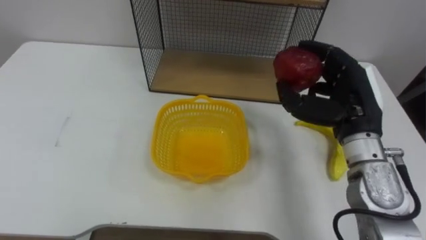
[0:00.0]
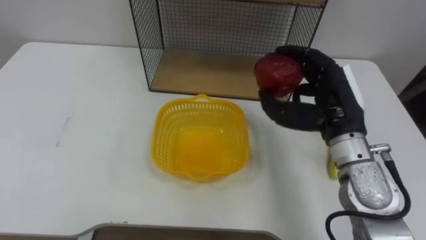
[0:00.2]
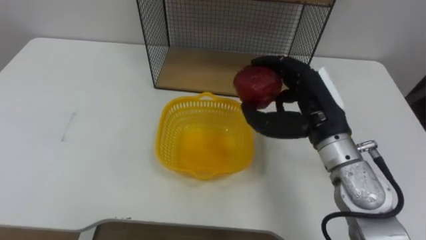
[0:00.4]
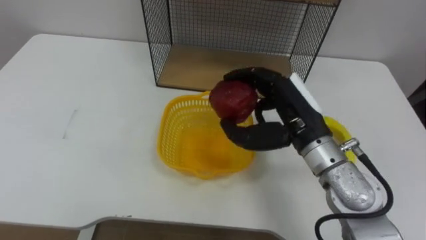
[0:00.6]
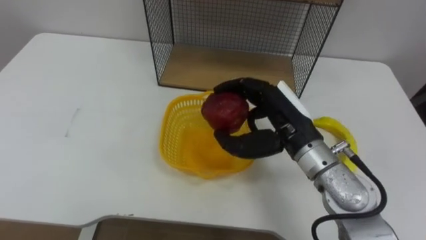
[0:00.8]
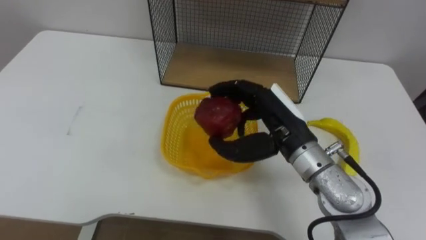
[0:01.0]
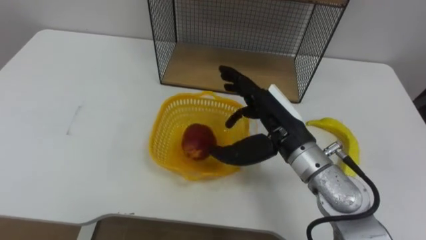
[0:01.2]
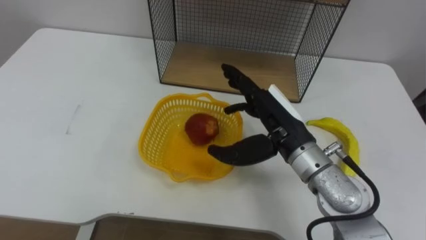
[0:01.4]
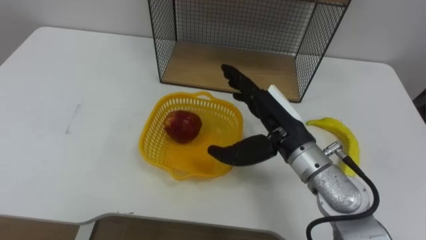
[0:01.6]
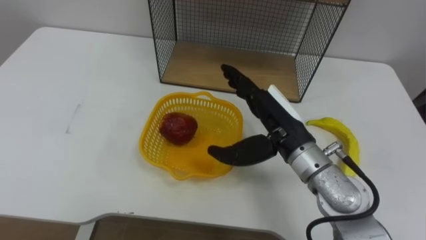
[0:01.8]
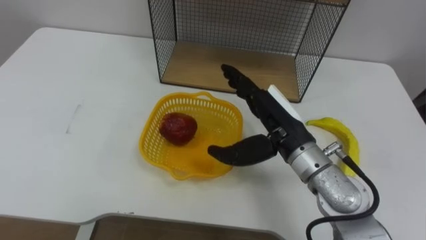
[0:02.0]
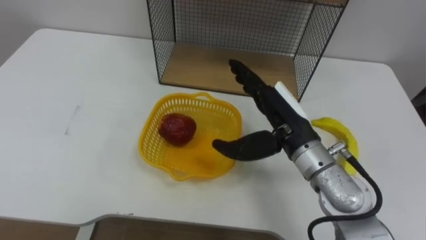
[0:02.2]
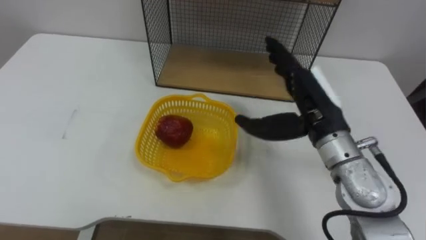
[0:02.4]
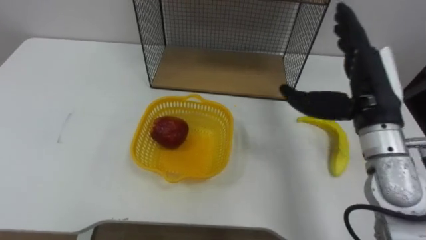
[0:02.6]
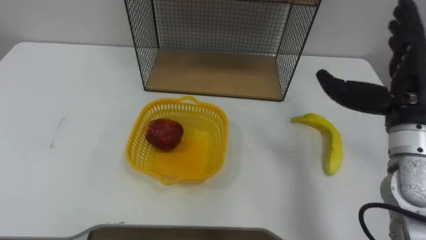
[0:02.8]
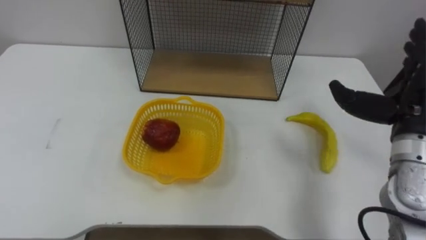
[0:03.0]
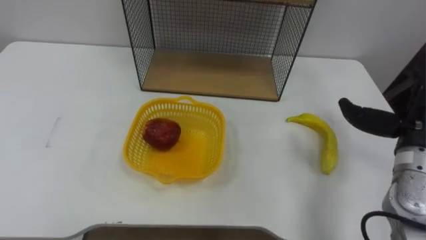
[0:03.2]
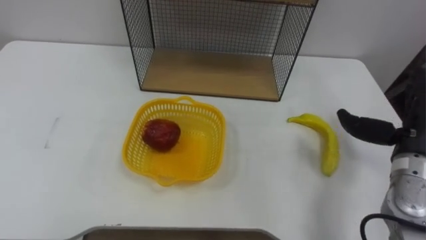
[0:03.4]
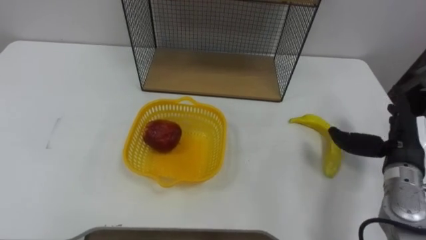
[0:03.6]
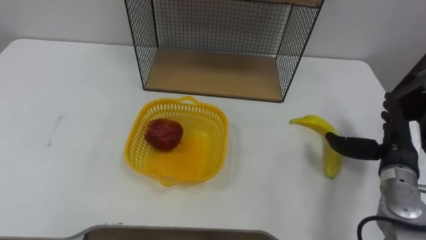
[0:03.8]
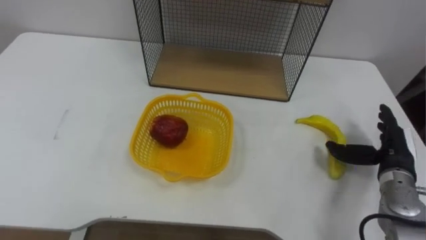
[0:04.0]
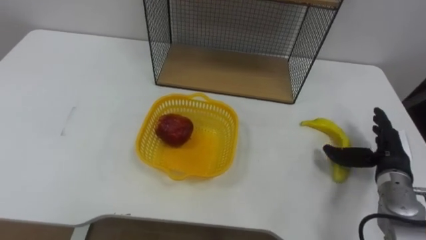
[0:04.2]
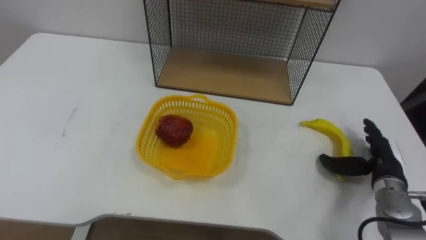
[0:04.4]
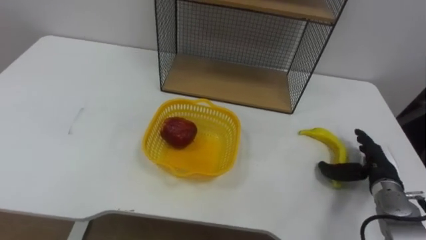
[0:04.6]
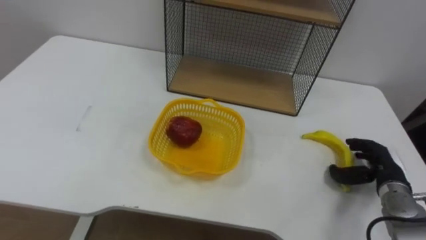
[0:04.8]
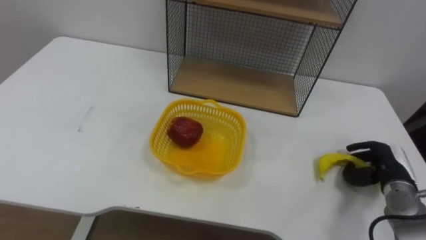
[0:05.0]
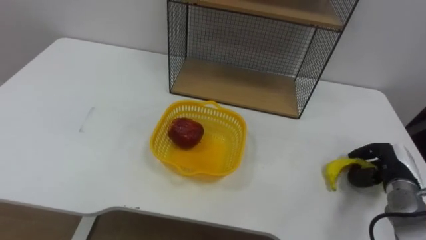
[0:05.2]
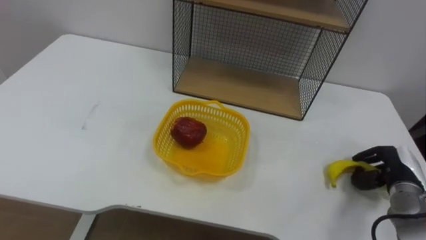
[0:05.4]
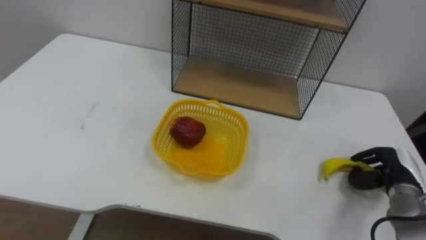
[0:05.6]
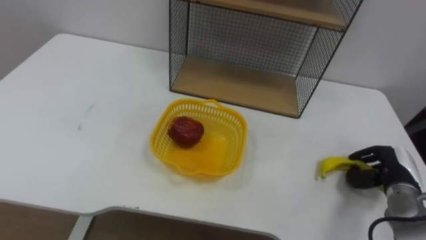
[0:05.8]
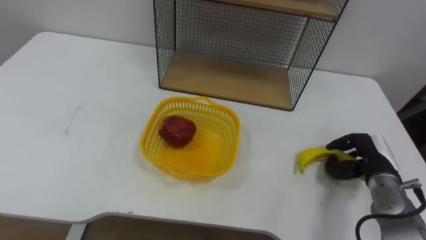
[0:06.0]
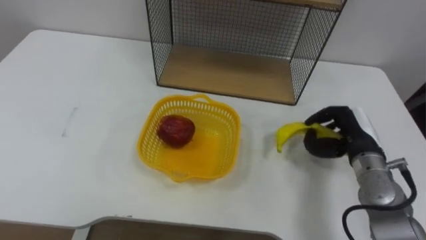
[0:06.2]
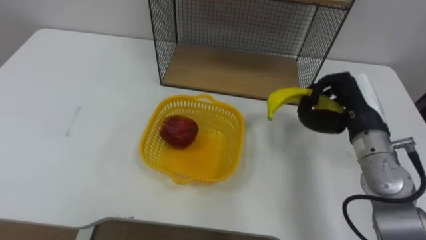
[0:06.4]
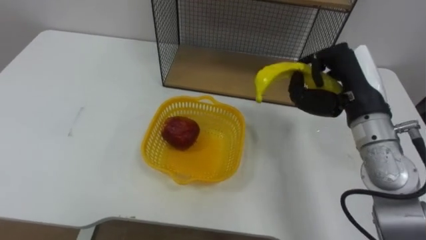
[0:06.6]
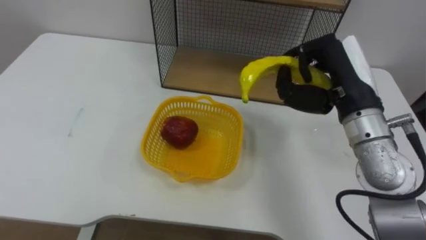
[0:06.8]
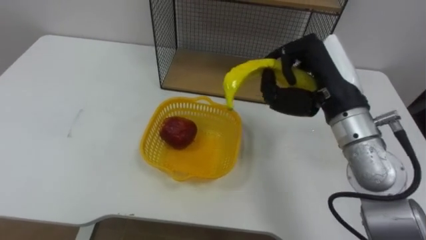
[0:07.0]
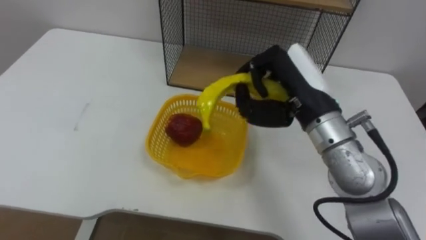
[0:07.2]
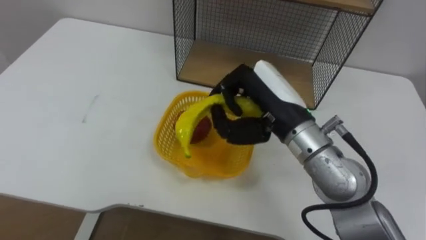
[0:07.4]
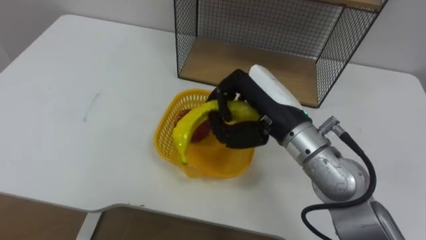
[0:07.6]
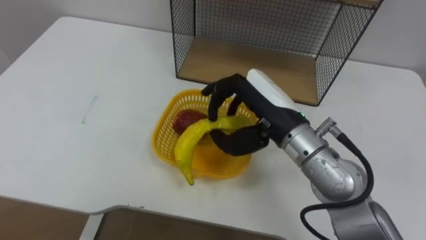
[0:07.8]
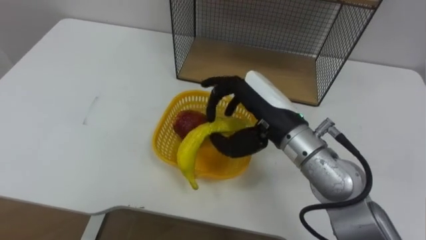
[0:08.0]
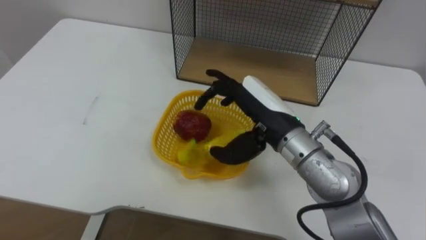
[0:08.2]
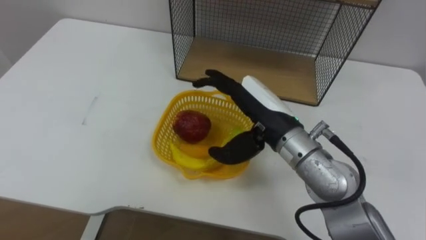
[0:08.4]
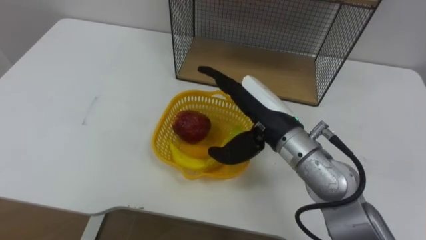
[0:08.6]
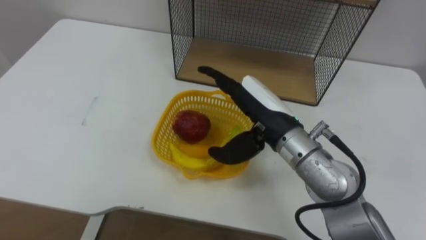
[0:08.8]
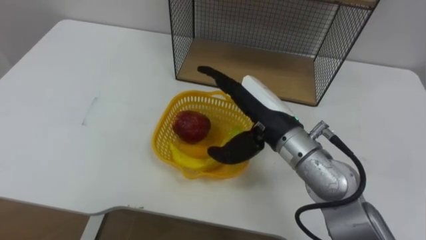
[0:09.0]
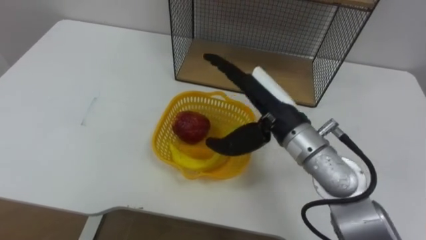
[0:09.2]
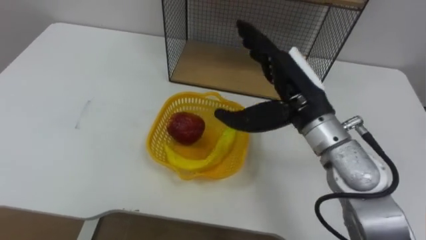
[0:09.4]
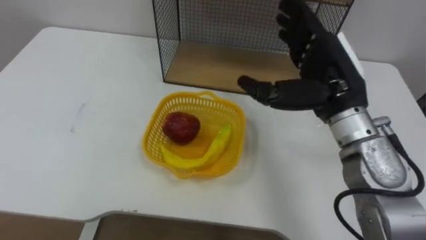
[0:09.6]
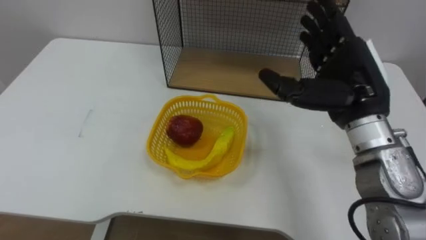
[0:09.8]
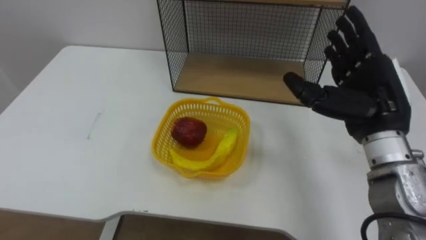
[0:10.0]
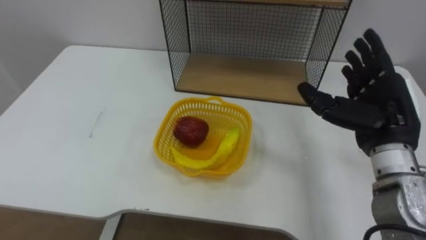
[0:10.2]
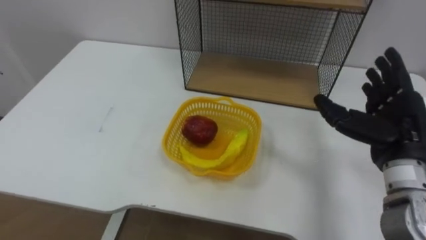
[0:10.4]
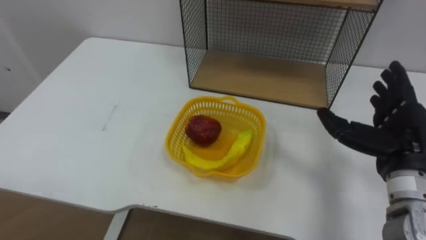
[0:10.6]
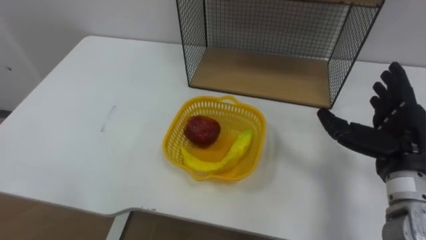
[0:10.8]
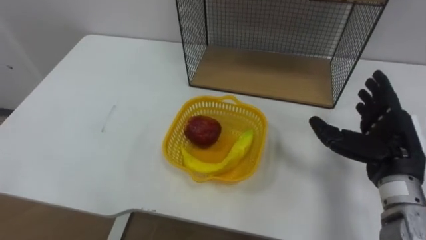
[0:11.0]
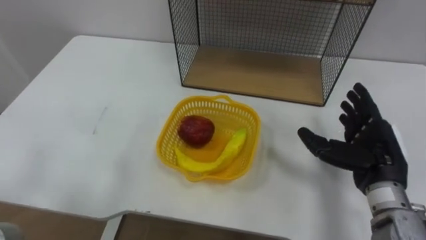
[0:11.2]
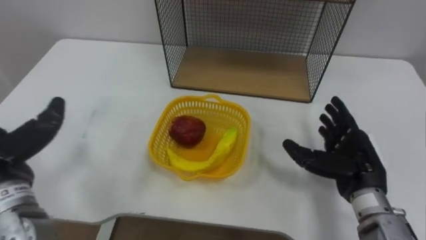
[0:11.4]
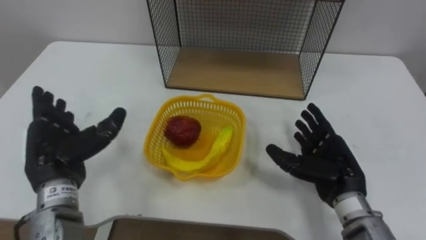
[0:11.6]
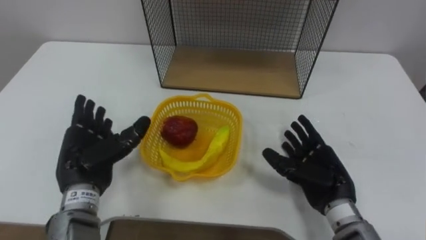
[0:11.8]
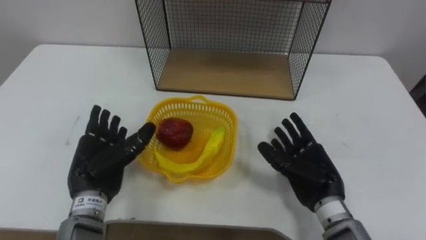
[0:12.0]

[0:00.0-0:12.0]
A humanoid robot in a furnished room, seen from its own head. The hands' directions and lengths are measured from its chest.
Task of the whole recording: Put the fruit on the table into the basket, then place the basket on the shelf.
0:00.0 to 0:01.6: The right hand is displaced to the left by about 10 cm, and opens up.
0:01.6 to 0:03.0: The right hand shifts some 20 cm to the right.
0:03.0 to 0:04.4: The right hand heads downward, covering some 20 cm.
0:04.4 to 0:06.0: The right hand closes up.
0:06.0 to 0:07.6: The right hand goes roughly 30 cm to the left and upward.
0:07.6 to 0:09.0: The right hand opens.
0:09.0 to 0:10.4: The right hand moves to the right, about 20 cm.
0:10.4 to 0:12.0: The right hand is displaced downward and to the left by roughly 15 cm.

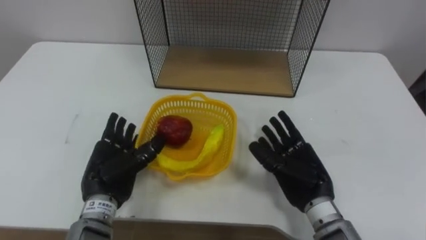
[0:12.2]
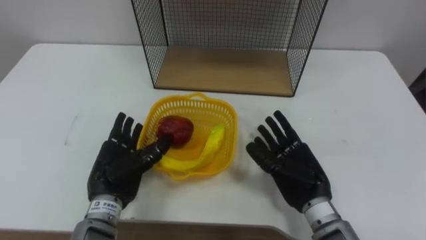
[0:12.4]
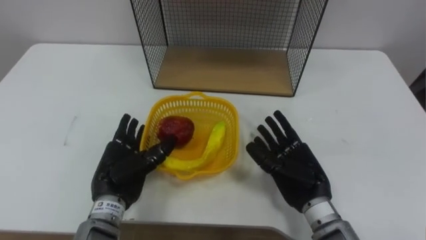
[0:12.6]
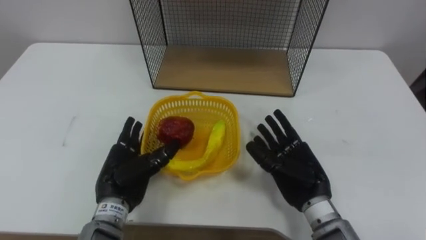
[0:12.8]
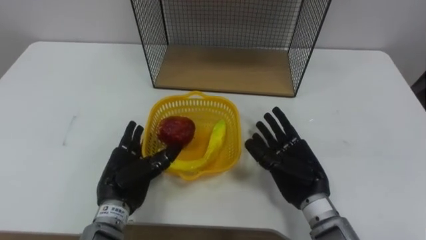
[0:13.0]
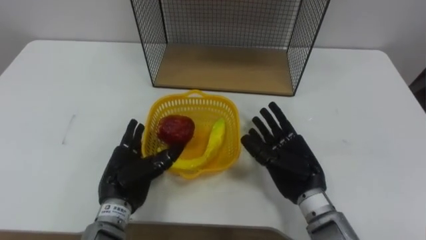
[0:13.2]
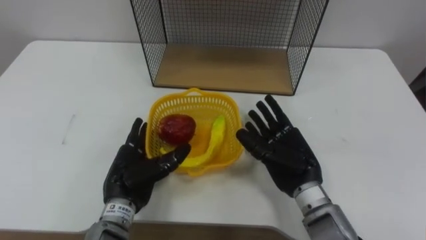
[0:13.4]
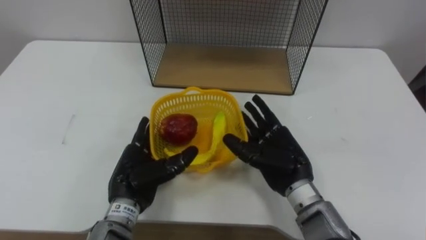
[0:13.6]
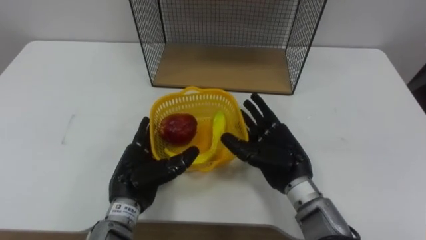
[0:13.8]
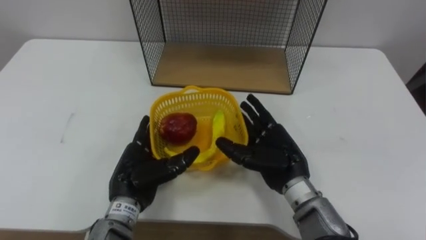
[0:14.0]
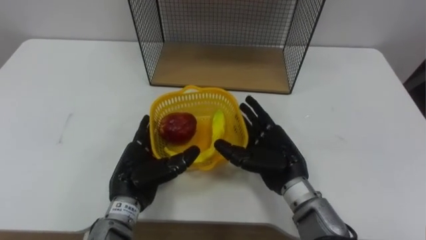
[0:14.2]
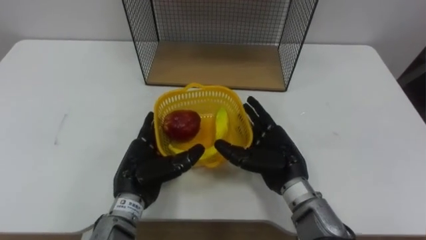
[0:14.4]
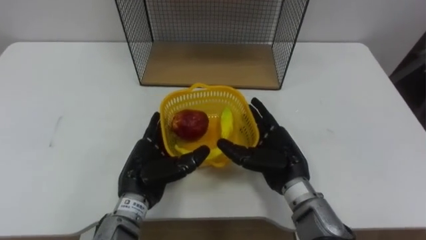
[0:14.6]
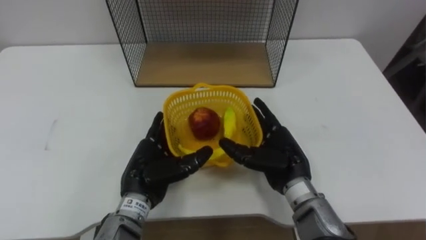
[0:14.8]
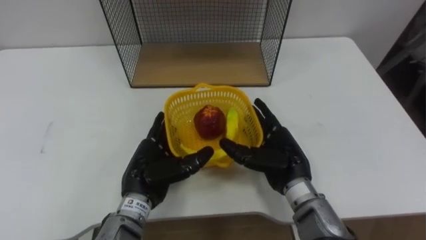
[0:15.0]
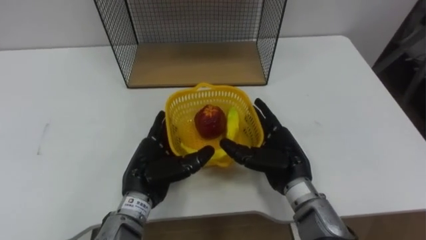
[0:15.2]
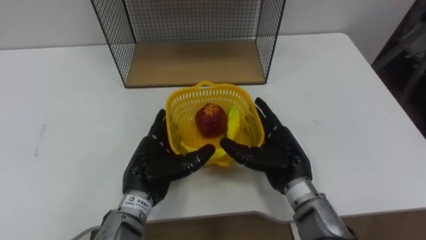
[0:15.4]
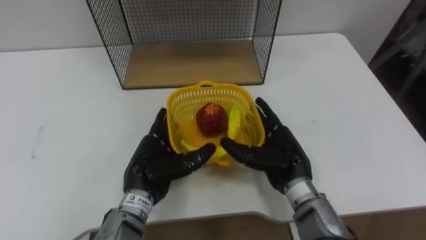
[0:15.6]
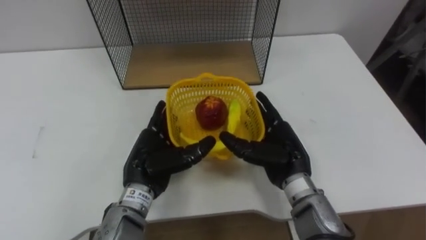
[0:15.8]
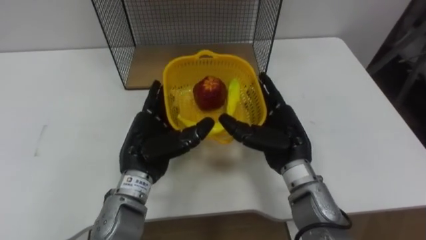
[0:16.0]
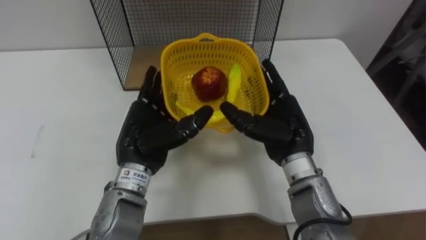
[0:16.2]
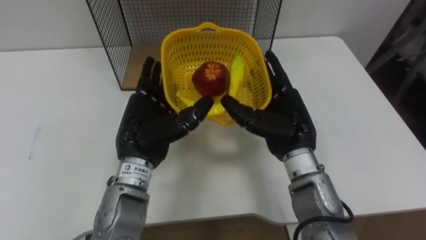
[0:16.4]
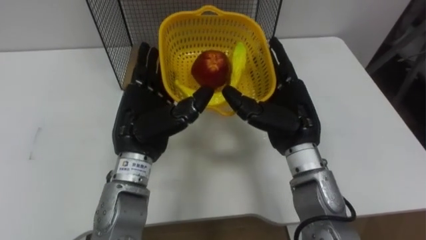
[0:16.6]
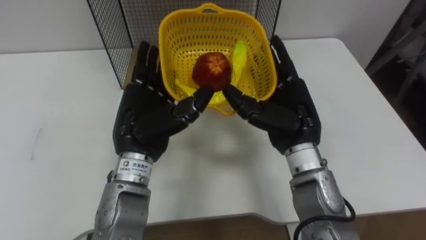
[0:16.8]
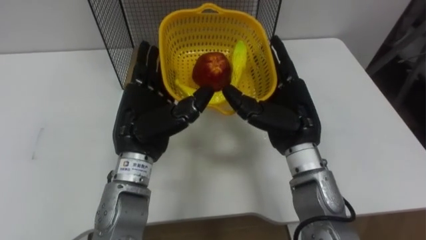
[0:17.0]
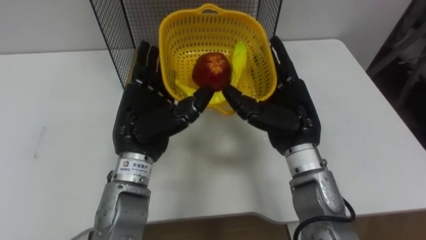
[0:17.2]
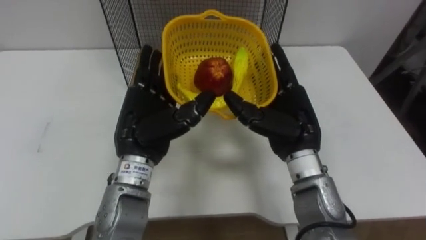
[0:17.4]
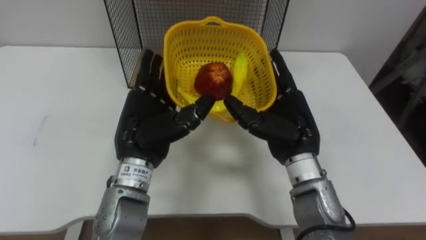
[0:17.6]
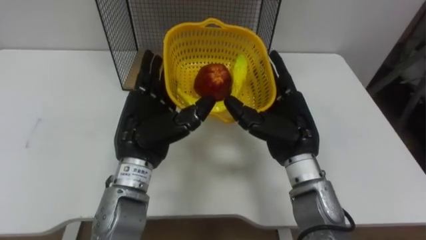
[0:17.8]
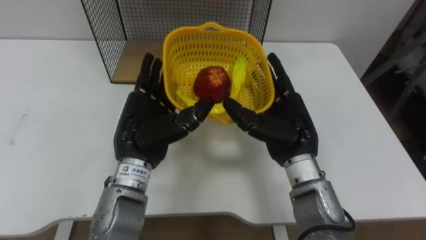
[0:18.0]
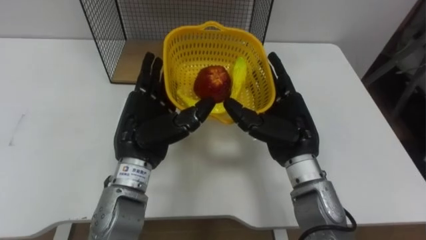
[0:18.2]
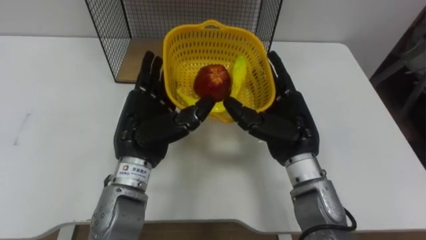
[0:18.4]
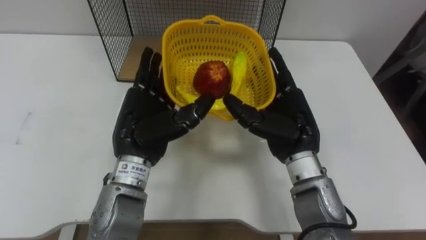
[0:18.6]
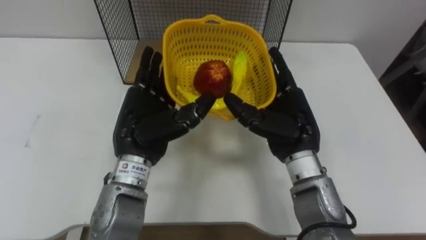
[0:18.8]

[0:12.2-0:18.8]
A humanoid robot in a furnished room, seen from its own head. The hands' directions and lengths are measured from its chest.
Task of the whole recording: Put the fruit on the table into the basket, then place the basket on the shelf.
0:12.2 to 0:13.8: The left hand shifts about 5 cm to the right; the right hand changes place by about 5 cm.
0:15.4 to 0:17.2: Both hands travel together upward, roughly 10 cm.
